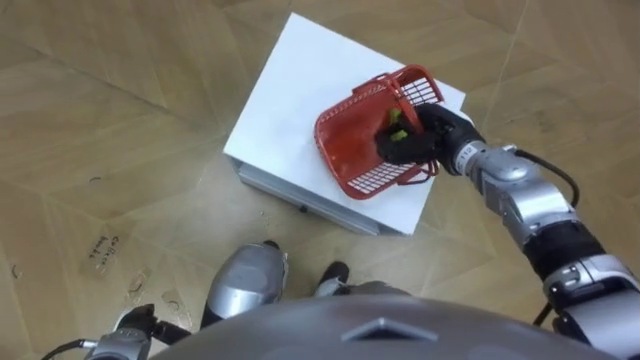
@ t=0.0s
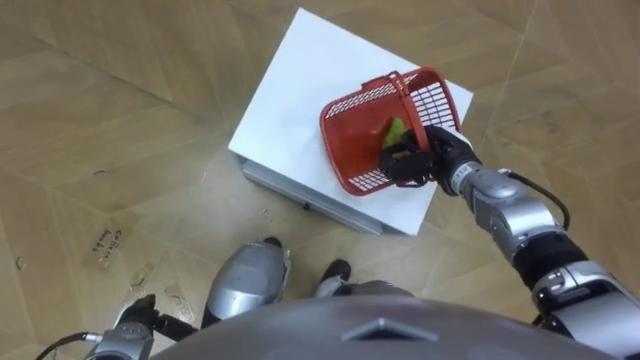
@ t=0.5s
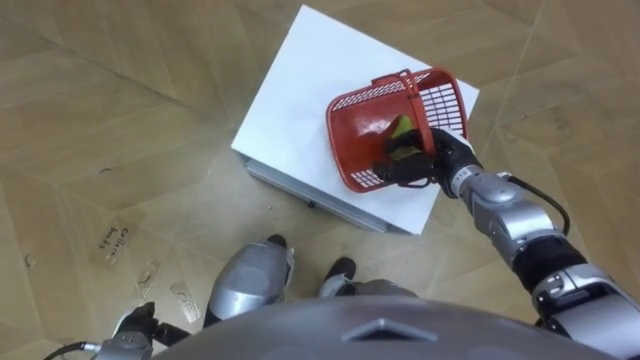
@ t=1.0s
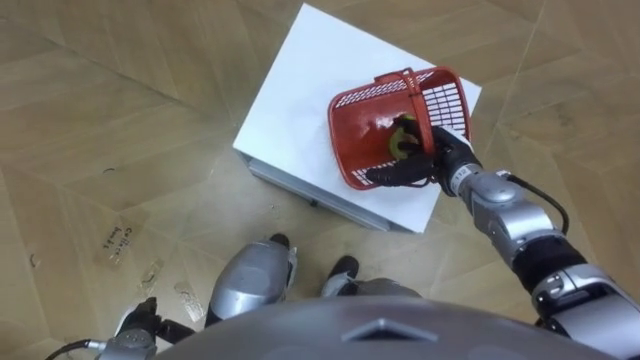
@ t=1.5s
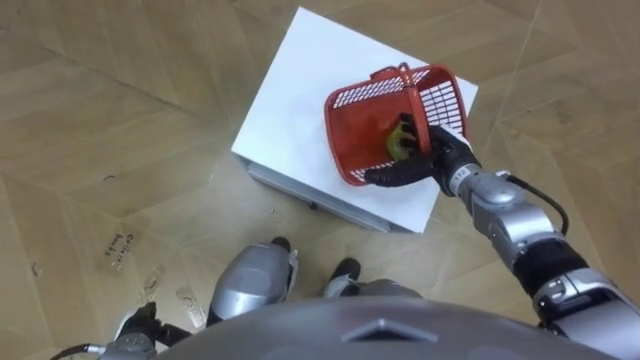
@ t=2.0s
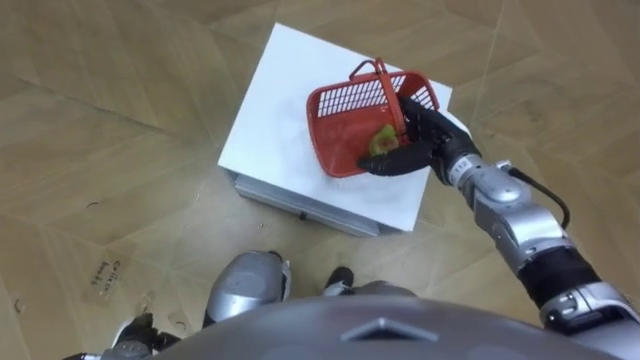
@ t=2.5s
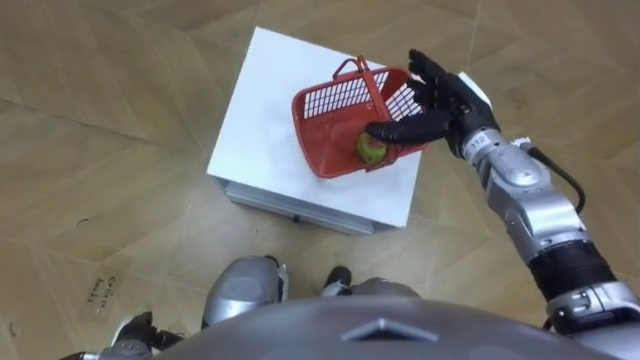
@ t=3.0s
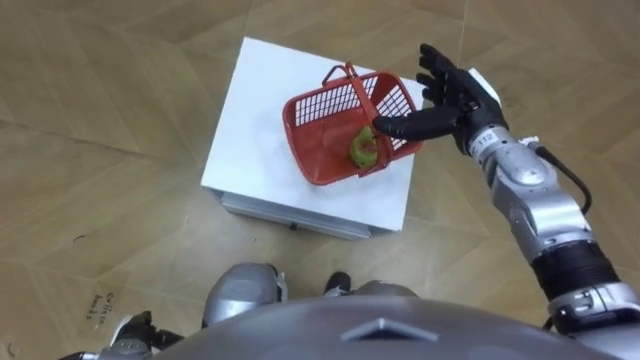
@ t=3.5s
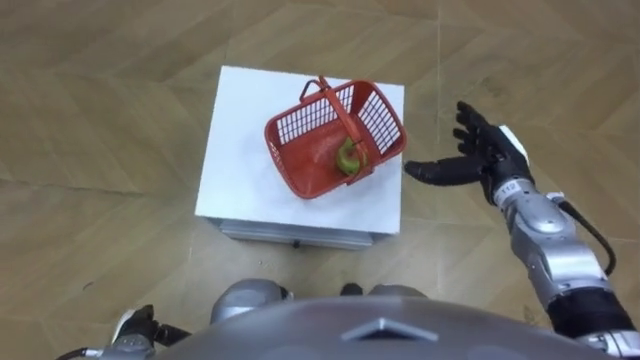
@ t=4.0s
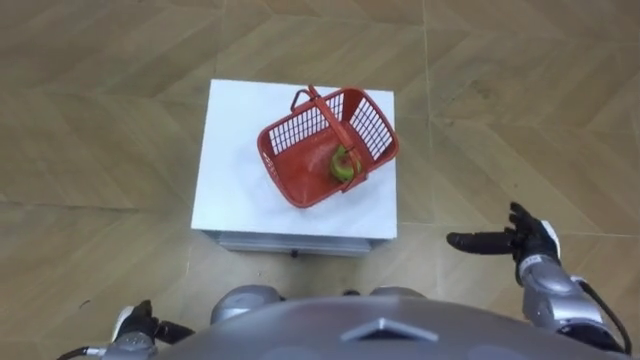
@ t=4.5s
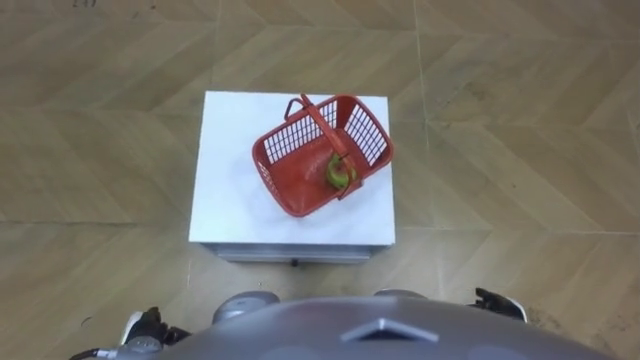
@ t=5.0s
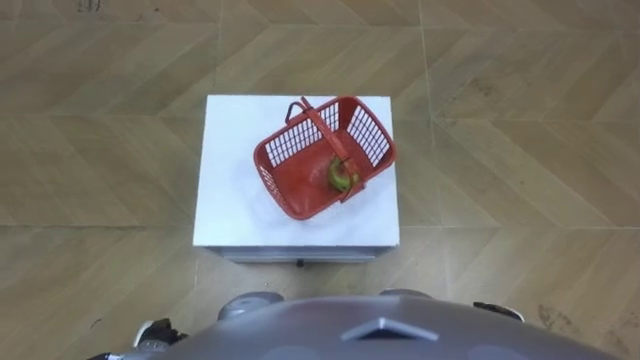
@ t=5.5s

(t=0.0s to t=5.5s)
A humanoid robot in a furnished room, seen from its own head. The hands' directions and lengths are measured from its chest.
Task of the whole recording: Pick up the fruit basket from the floor and place it on the cabinet.
t=0.0s - t=2.0s: The right hand opens.
t=2.0s - t=3.5s: The right hand moves upward, roughly 10 cm.
t=3.5s - t=5.5s: The right hand heads backward and downward, covering approximately 35 cm.

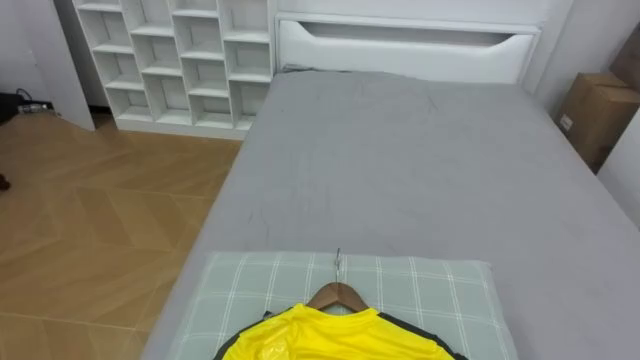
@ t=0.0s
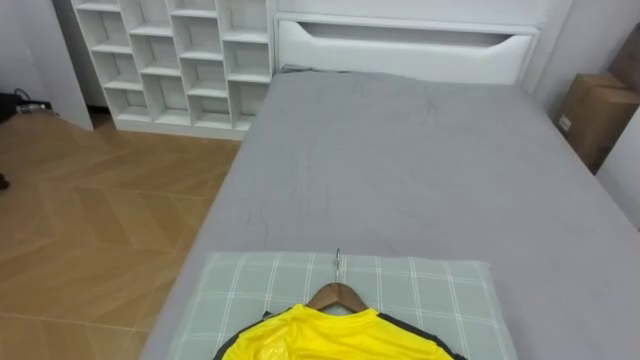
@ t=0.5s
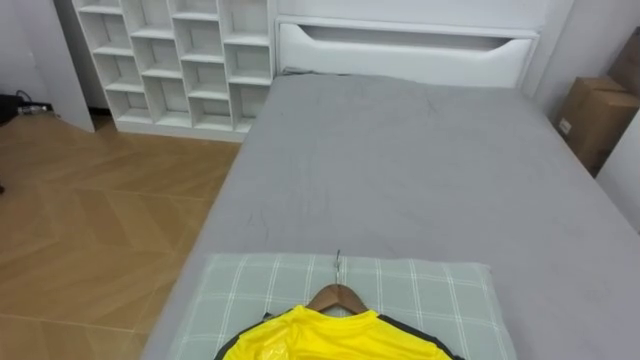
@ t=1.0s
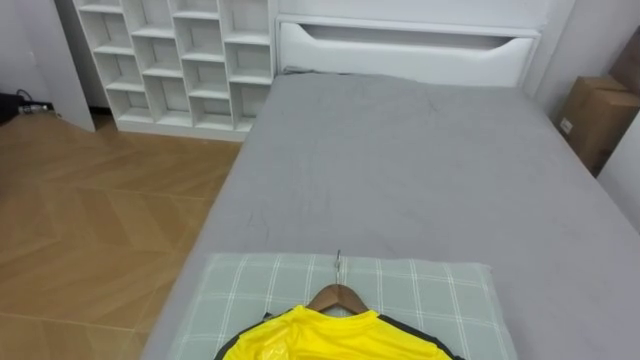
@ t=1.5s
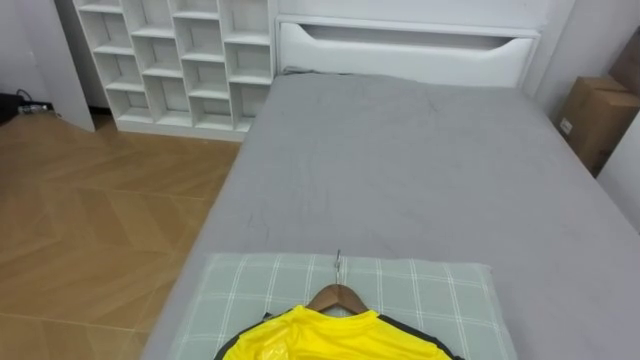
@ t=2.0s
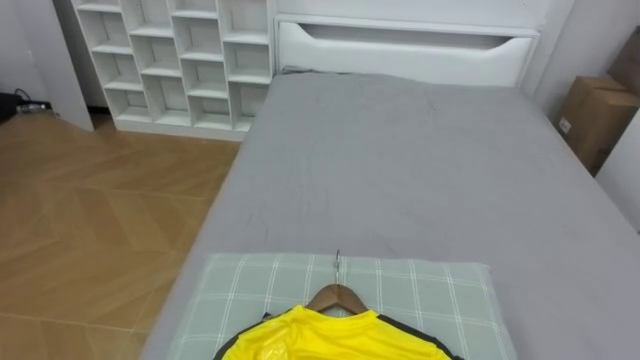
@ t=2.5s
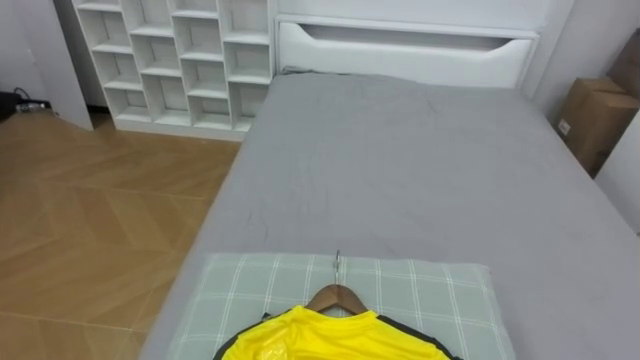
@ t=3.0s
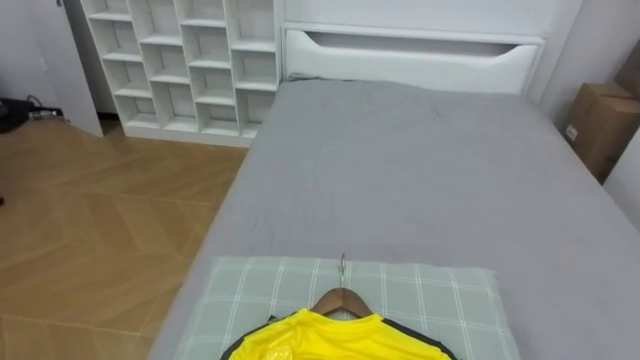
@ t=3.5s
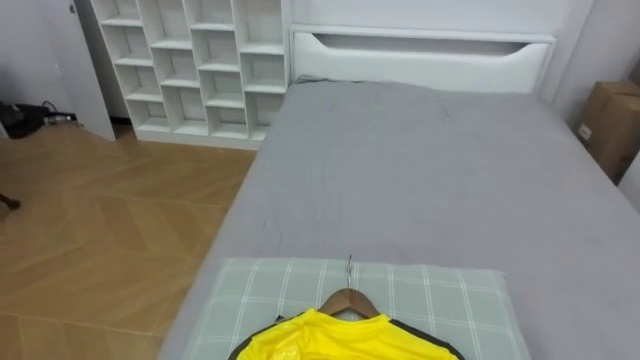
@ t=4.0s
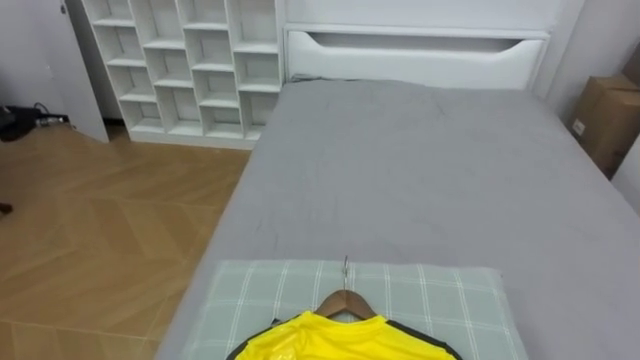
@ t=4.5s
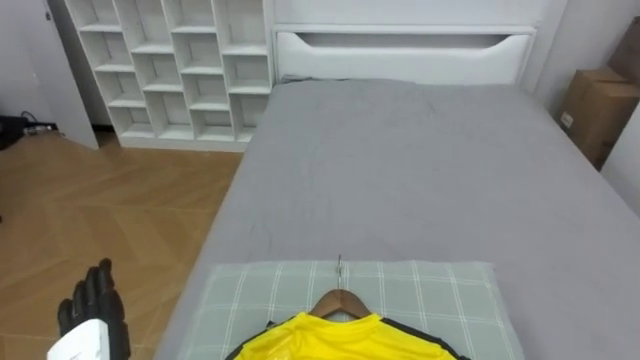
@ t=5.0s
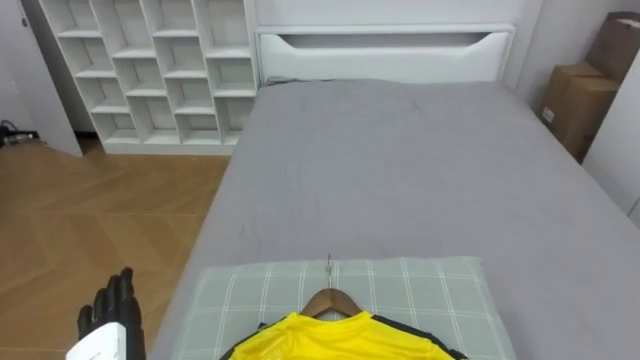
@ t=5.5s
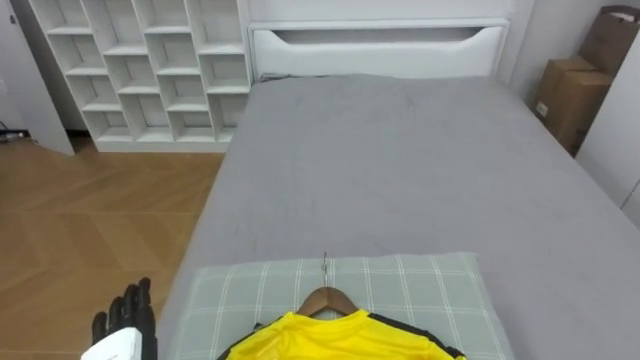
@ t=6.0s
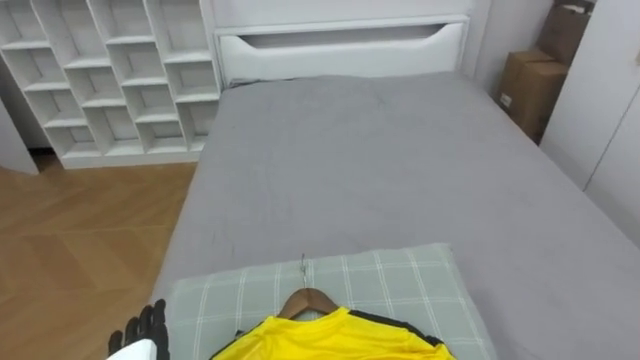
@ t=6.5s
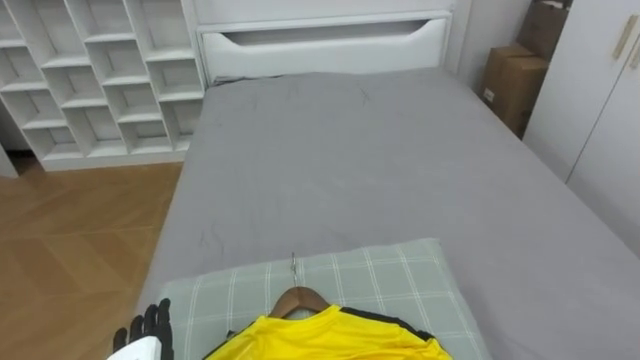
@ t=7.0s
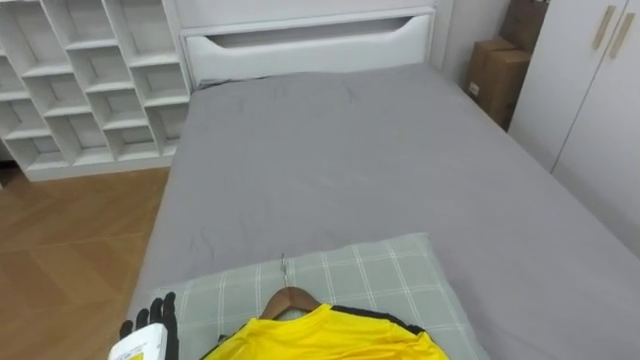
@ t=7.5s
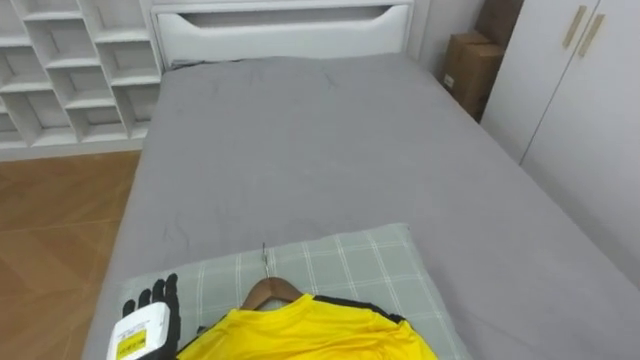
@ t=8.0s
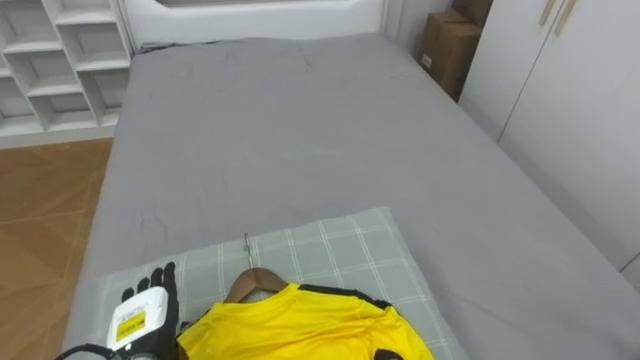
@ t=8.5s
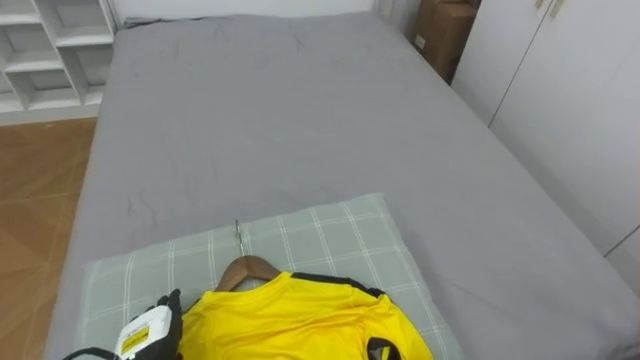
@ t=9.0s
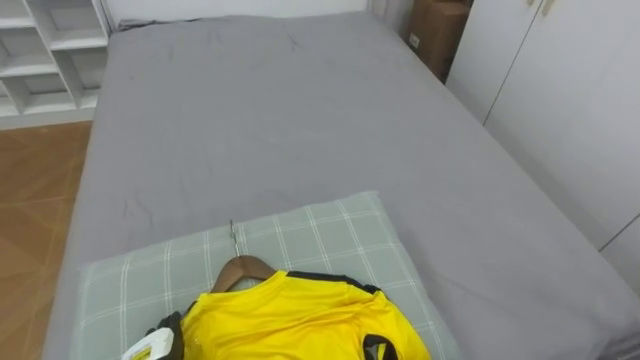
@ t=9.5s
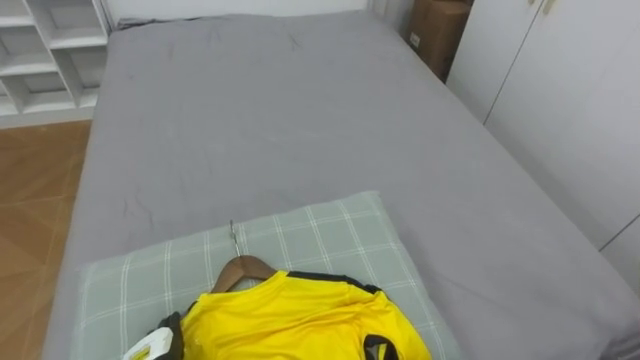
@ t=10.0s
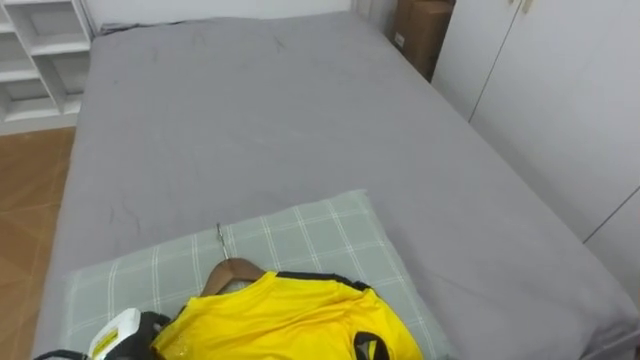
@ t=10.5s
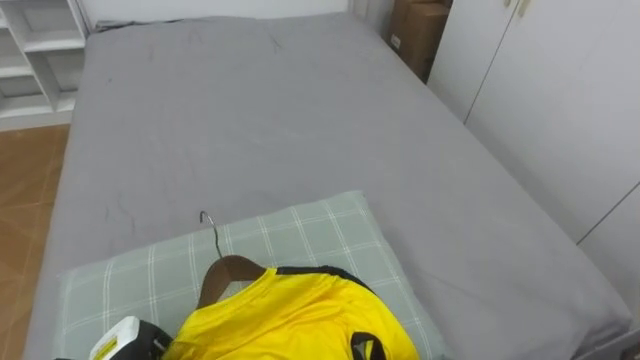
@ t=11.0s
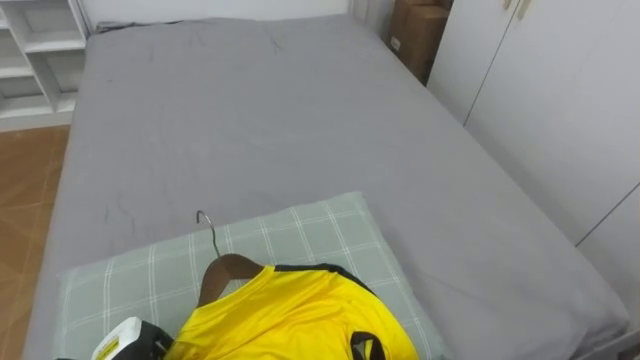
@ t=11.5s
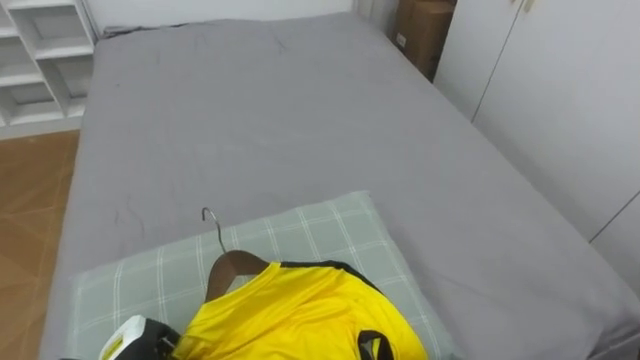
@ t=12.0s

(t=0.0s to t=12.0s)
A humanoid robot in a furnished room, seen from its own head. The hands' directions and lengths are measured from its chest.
Task of the whole recording: Pick up the yellow shirt on the bed and hang it on the clothes rack on the right.
t=10.0s - t=12.0s: The left hand closes.

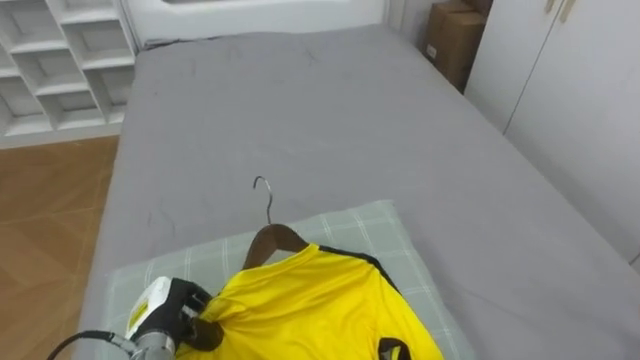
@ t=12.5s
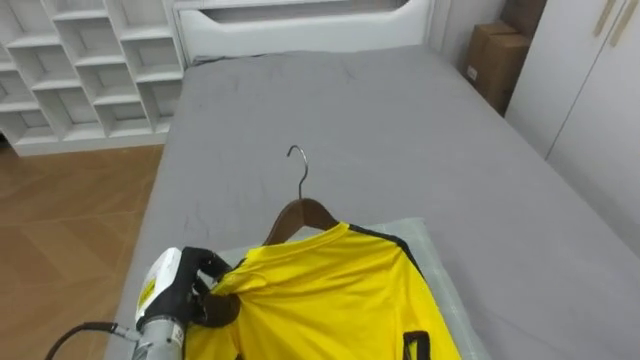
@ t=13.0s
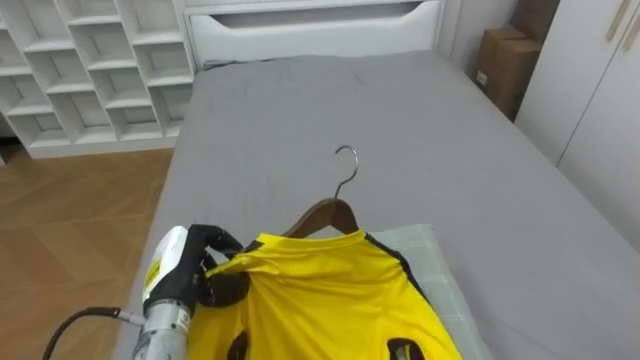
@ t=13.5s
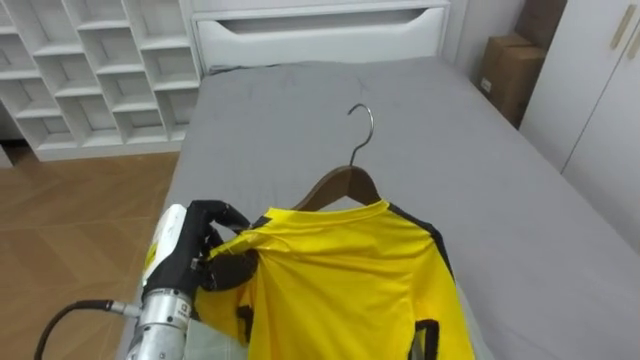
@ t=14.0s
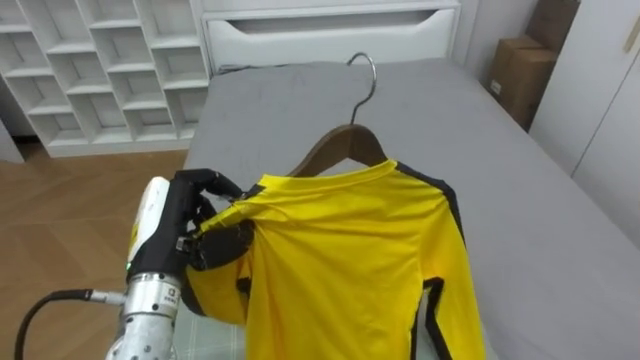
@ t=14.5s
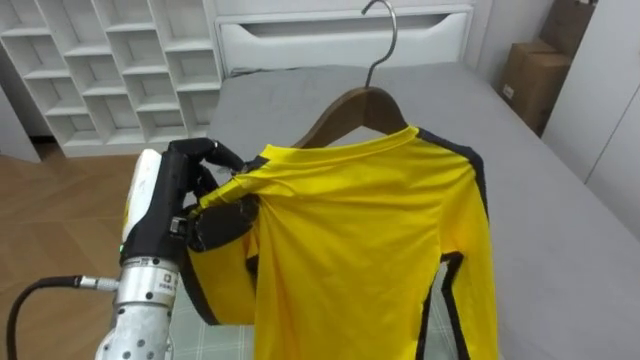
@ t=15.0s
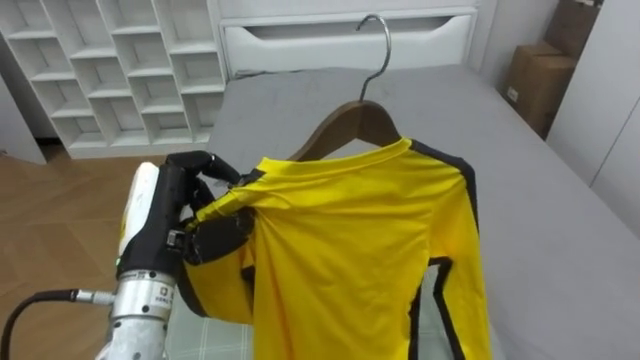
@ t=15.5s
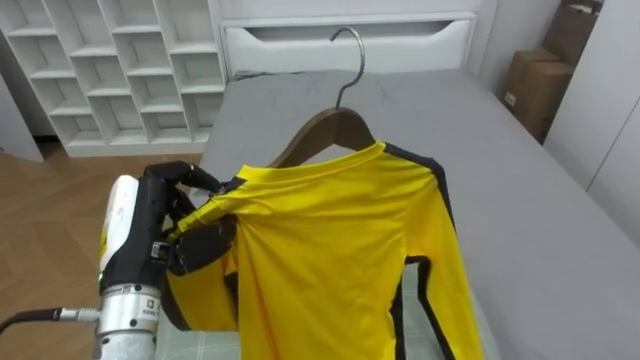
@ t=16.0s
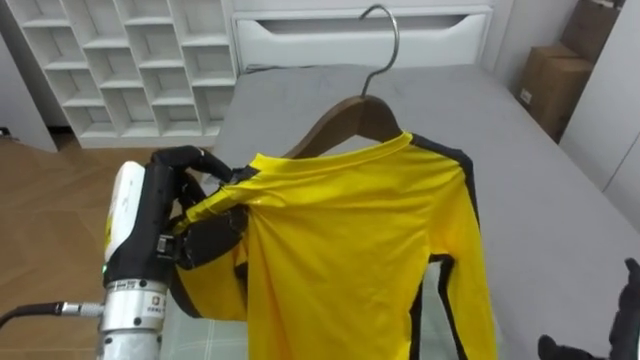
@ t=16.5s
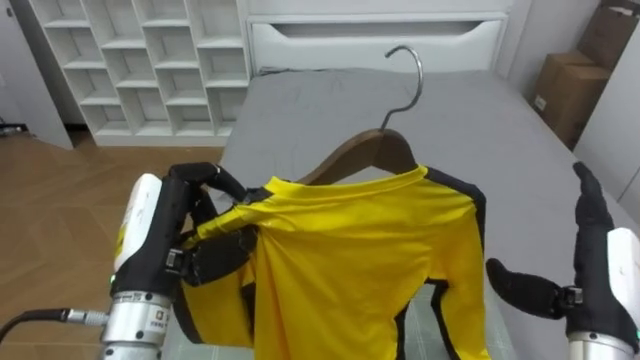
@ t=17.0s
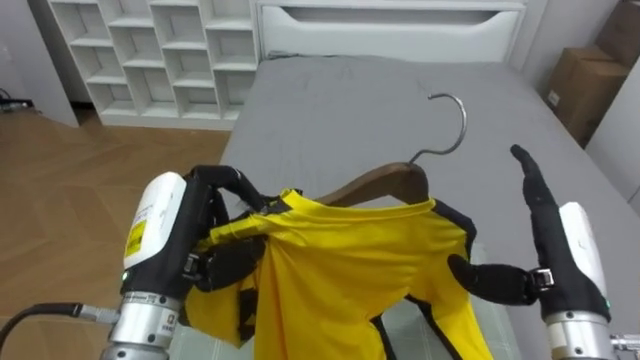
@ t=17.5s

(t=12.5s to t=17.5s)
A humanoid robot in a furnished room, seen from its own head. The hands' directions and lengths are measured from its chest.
Task of the whole recording: Pick up the yellow shirt on the bed and hang it on the clothes rack on the right.
t=12.5s - t=15.0s: The left hand travels upward by some 20 cm.
